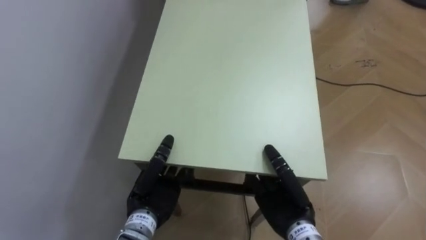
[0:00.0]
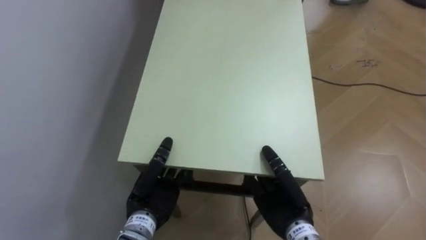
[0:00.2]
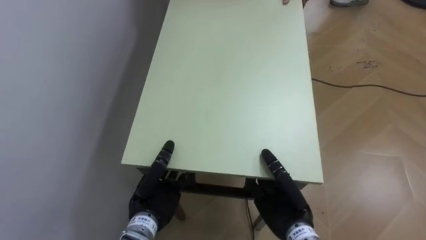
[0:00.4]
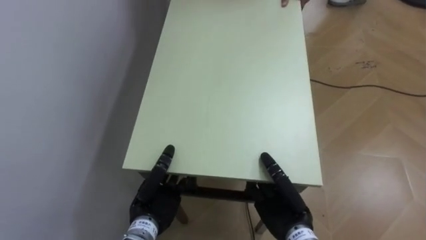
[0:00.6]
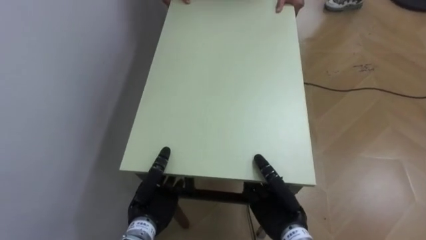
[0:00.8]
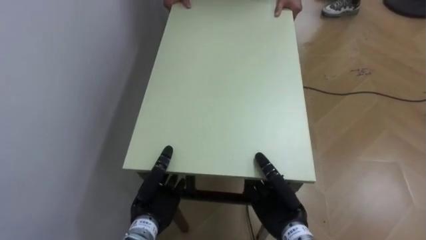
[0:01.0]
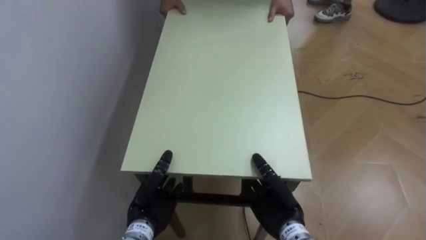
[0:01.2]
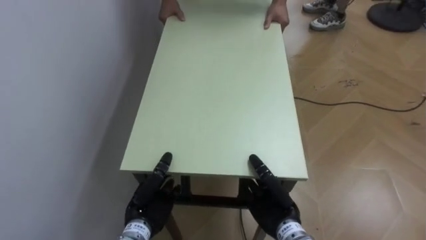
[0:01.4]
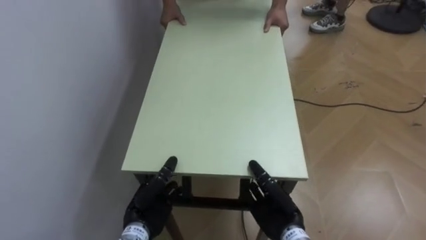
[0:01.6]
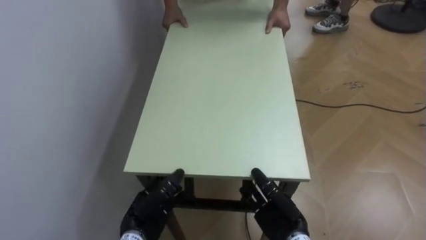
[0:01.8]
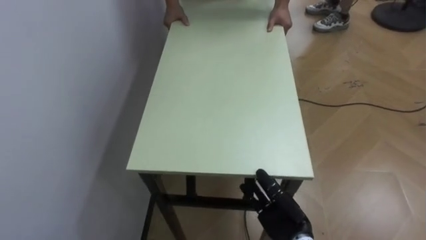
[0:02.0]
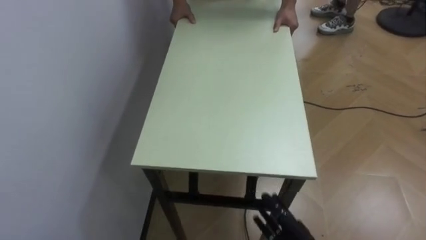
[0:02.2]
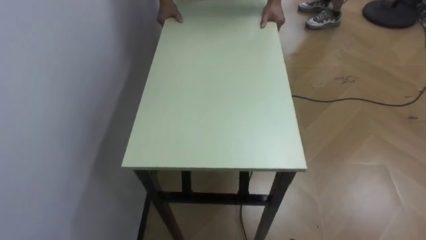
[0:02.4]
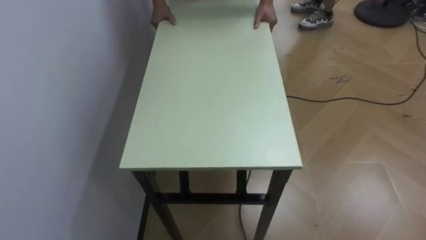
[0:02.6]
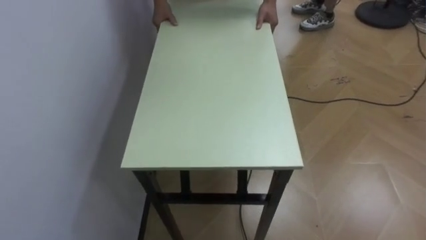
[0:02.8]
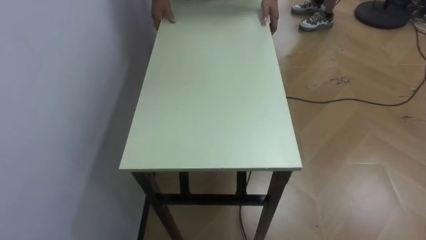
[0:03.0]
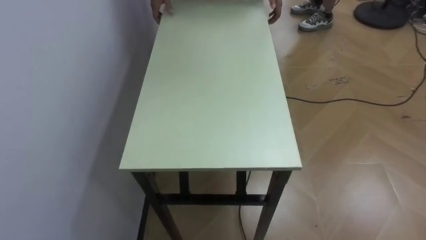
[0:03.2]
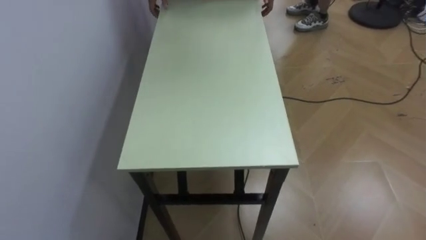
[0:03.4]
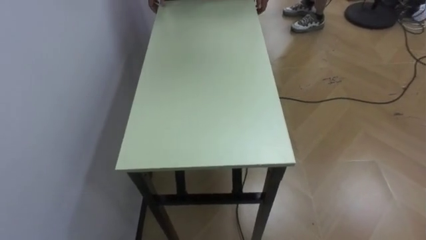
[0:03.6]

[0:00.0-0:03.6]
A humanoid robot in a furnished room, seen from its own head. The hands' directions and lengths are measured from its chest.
Task of the whole recording: Move the table to the back left with someone.
0:00.0 to 0:01.8: Both hands travel together downward, some 10 cm. The left hand opens up. Meanwhile the right hand opens.

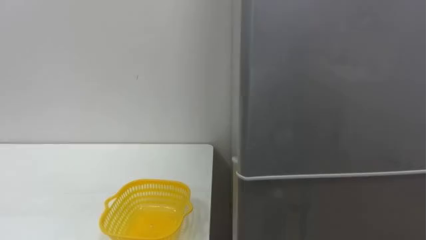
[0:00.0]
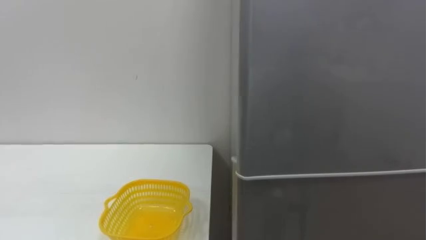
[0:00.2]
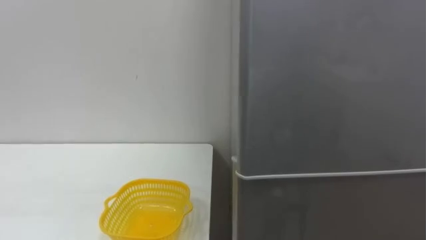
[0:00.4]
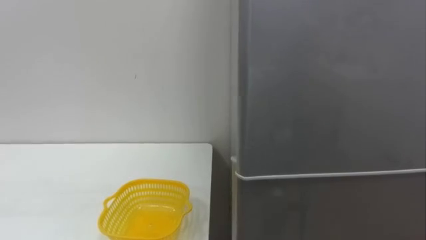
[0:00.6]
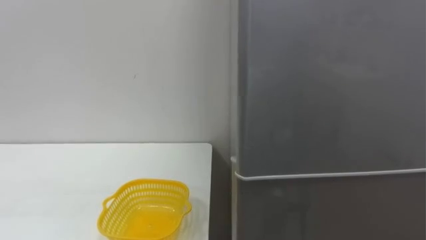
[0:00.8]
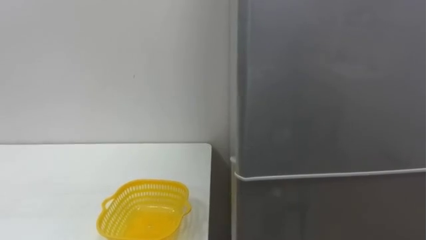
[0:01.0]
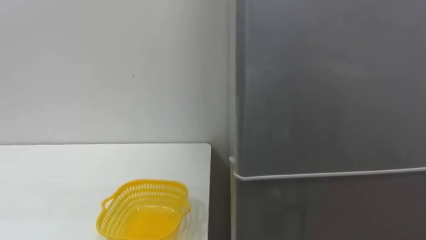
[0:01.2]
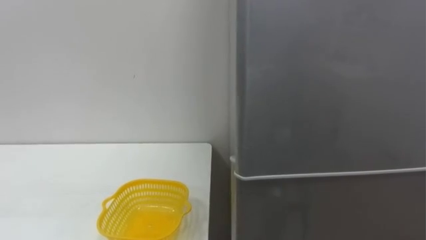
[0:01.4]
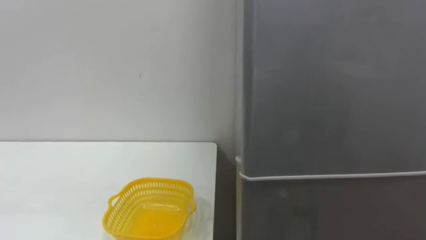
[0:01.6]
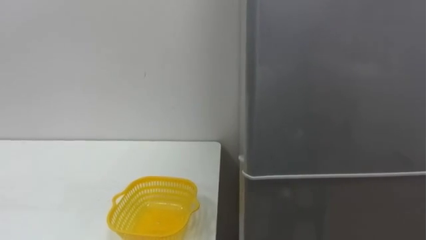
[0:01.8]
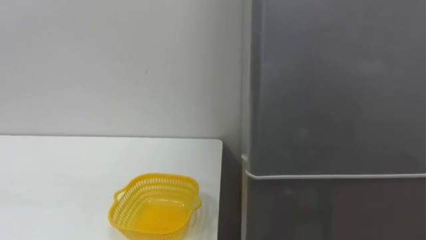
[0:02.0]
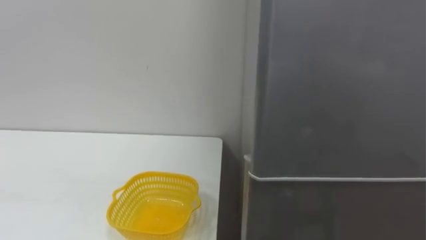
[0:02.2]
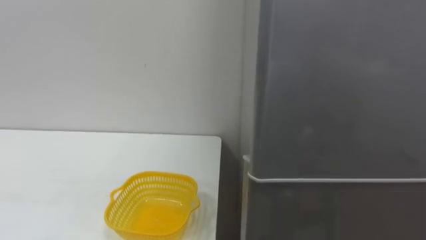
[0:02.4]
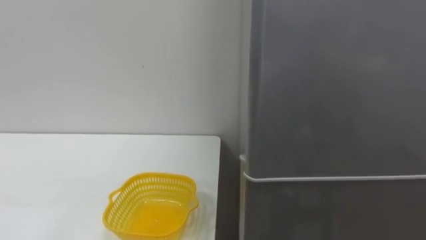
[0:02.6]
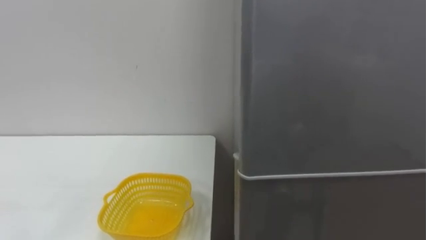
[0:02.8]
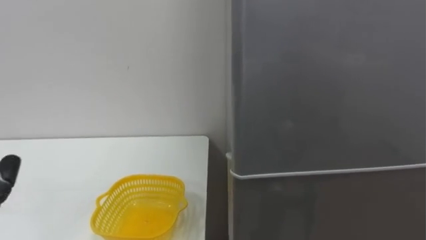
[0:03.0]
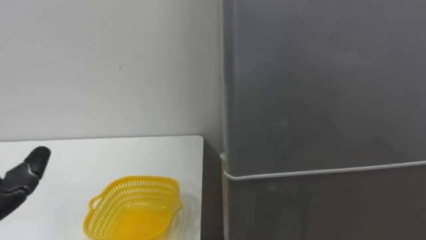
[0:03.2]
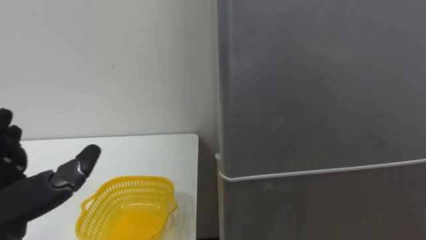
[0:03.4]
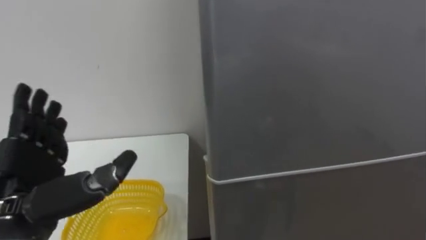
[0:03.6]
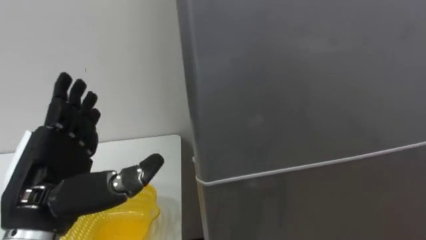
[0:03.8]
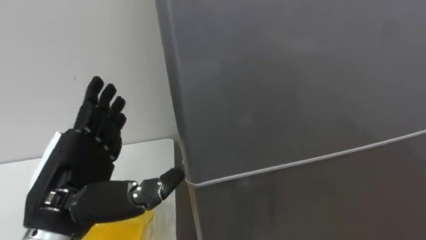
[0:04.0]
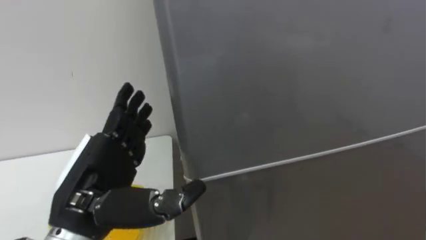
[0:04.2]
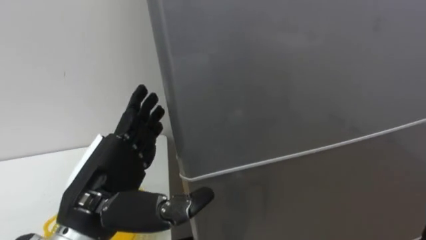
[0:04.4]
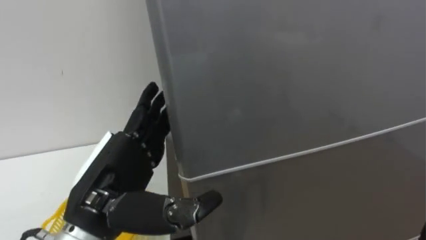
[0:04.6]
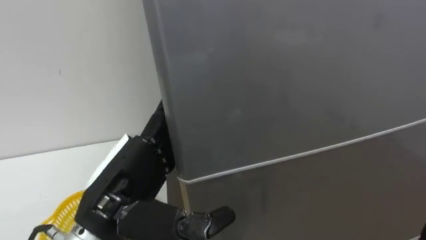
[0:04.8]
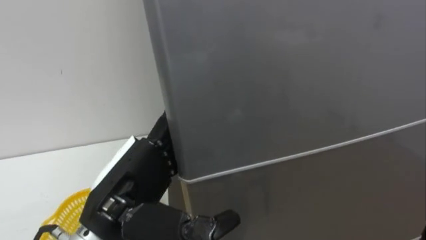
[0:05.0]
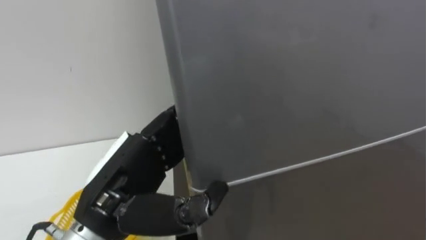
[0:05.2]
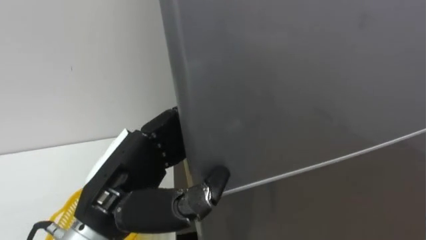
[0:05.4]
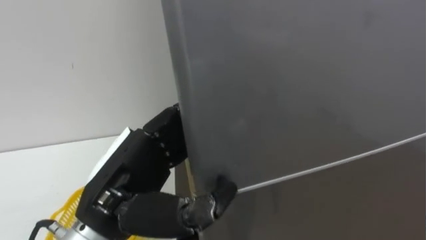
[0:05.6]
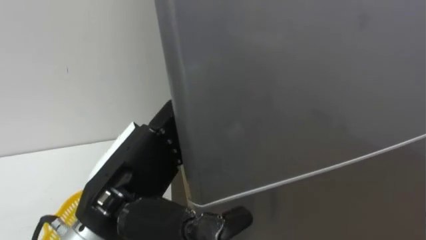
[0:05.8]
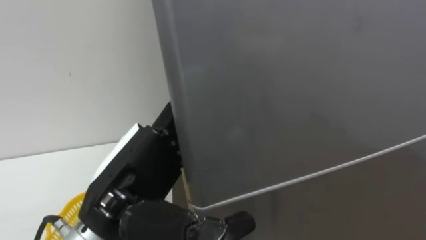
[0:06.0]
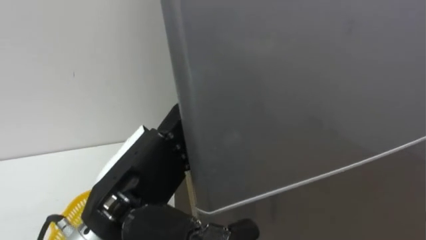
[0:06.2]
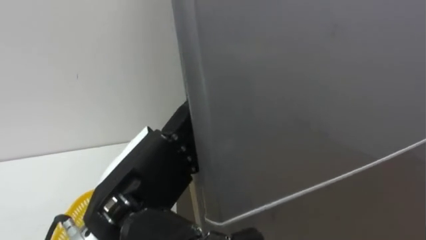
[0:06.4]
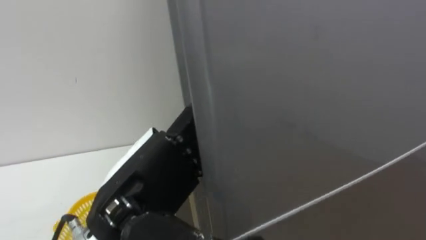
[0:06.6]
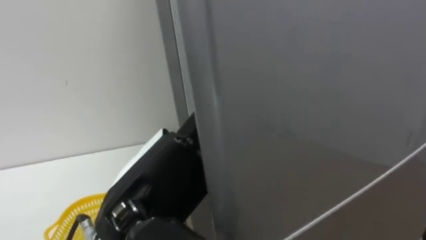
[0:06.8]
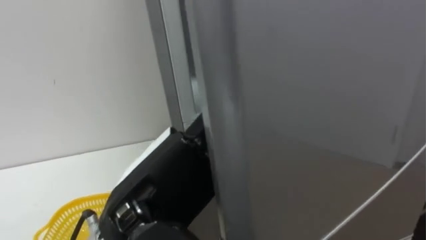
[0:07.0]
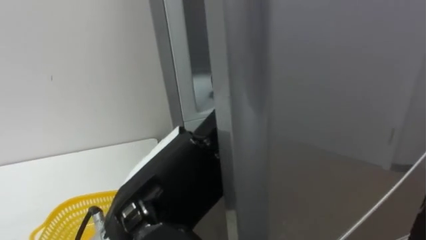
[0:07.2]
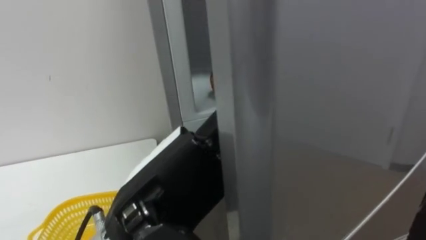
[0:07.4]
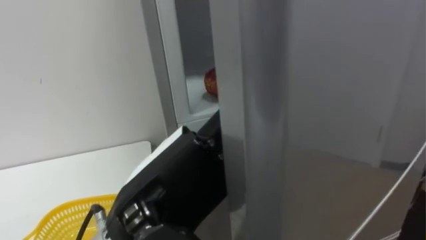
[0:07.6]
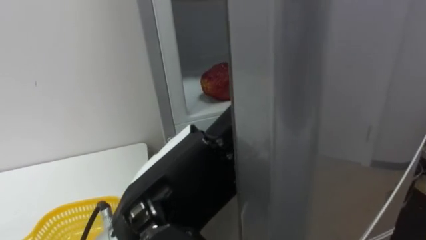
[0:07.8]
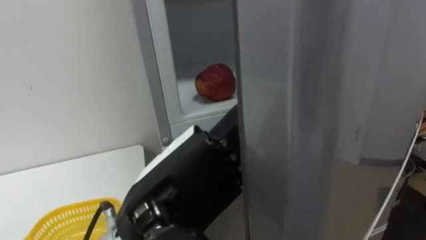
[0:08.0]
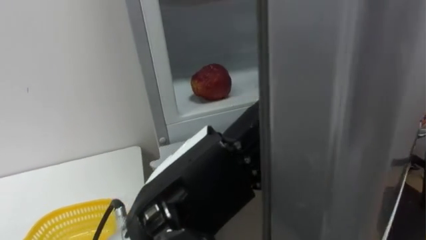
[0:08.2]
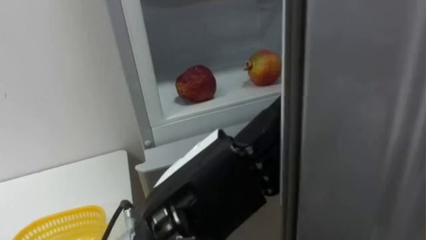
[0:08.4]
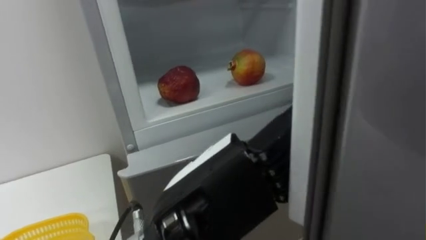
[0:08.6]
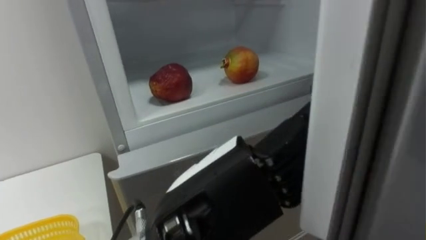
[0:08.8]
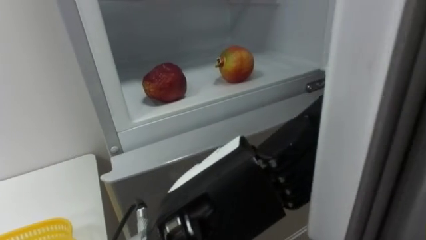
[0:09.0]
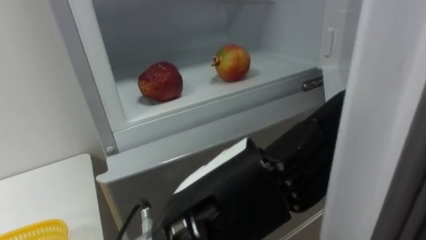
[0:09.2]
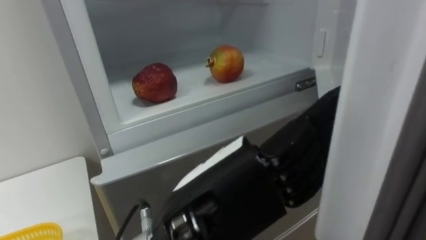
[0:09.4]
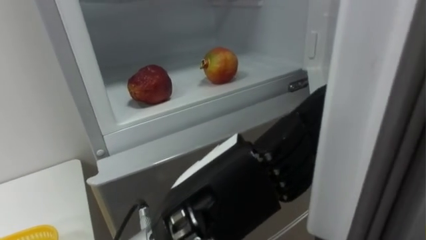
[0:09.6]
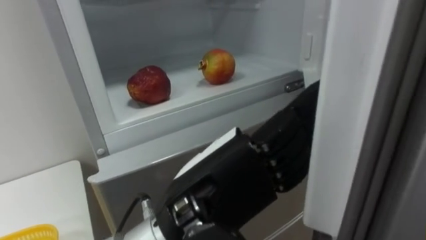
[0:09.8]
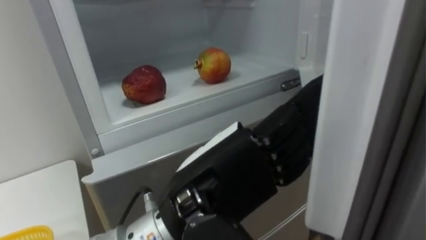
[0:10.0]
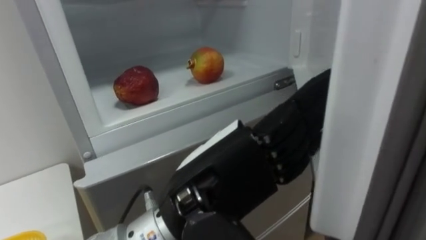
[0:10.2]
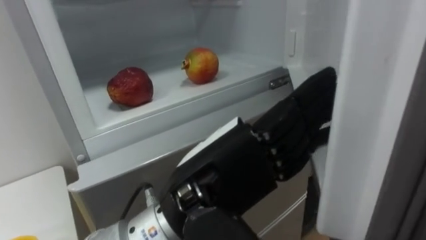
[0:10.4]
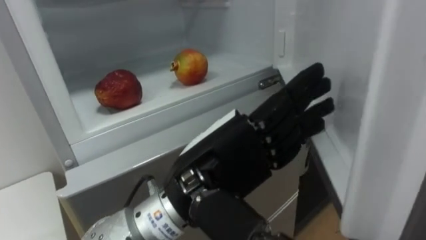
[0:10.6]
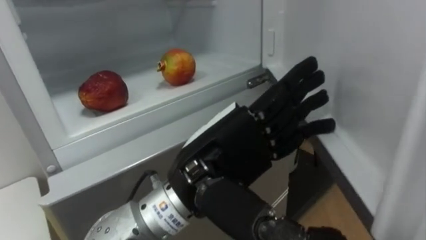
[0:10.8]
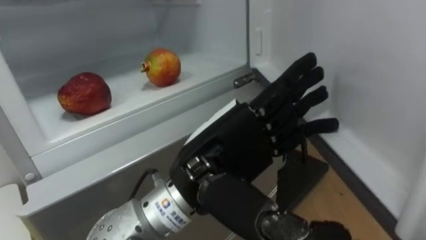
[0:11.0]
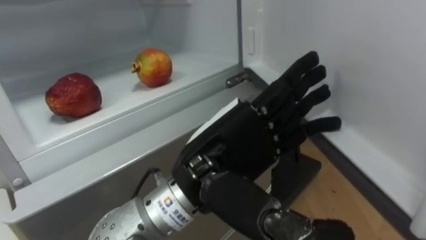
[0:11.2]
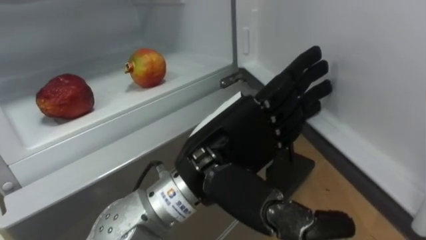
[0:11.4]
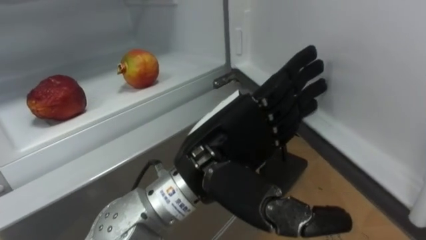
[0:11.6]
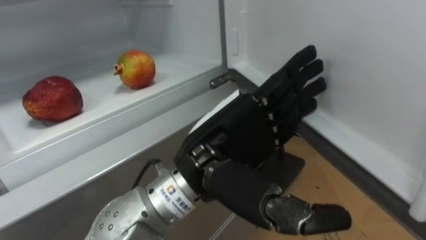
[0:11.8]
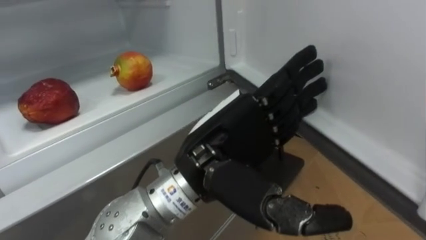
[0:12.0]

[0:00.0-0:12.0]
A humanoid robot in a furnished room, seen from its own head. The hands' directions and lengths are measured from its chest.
Task of the whole recording: Open the refrigerator door, take out the apple and the pomegranate, place them in the fruit basket on the left, and close the refrigerator door.
0:04.4 to 0:06.0: The left hand ends up roughly 5 cm from where it was, and closes and opens again.
0:06.0 to 0:07.6: The left hand changes place by about 5 cm.

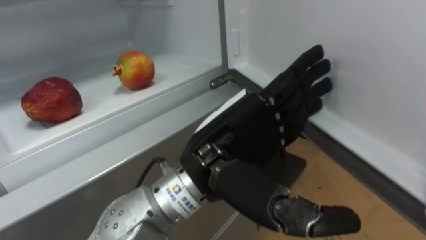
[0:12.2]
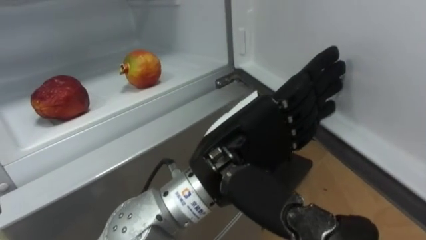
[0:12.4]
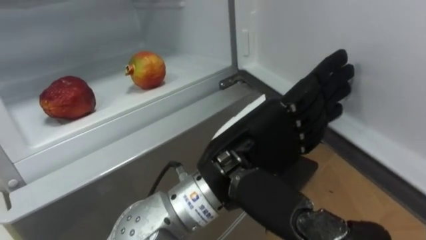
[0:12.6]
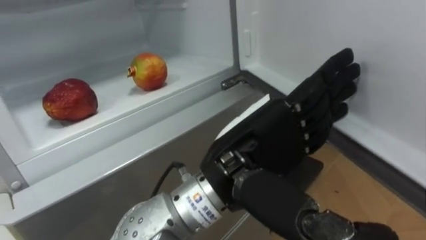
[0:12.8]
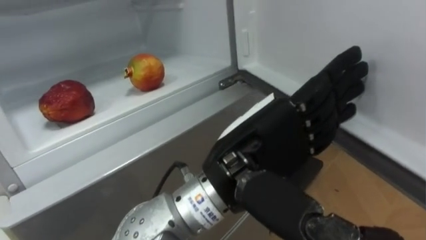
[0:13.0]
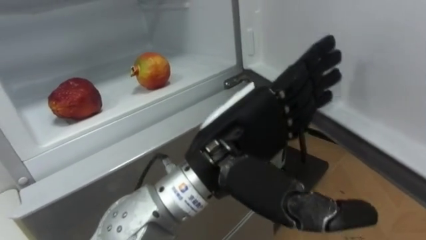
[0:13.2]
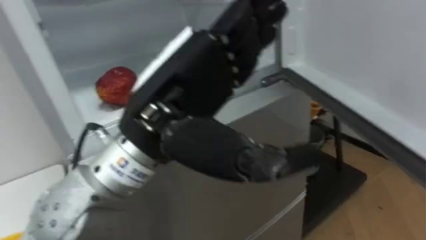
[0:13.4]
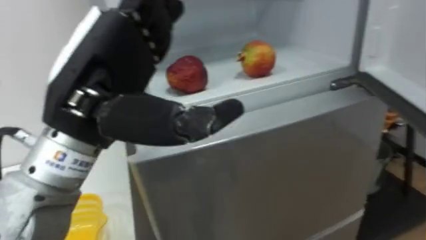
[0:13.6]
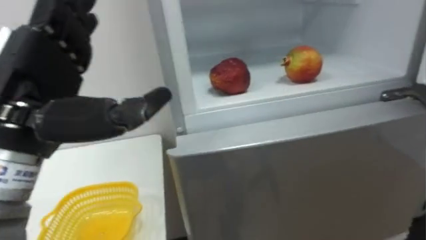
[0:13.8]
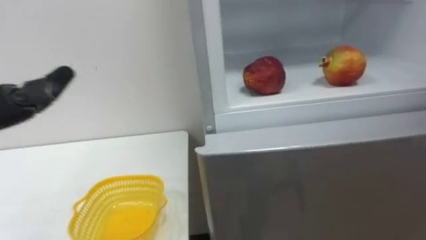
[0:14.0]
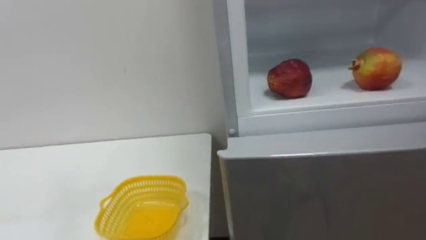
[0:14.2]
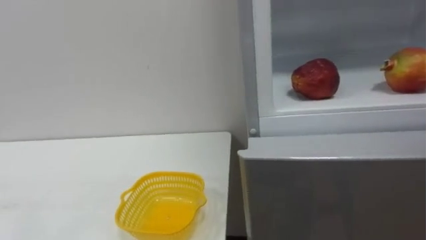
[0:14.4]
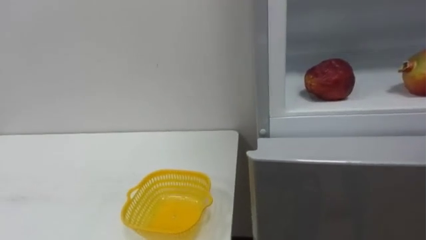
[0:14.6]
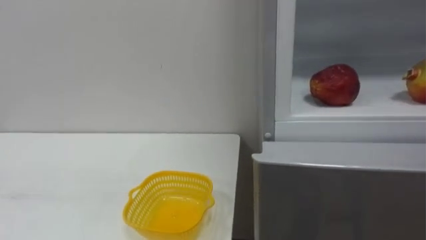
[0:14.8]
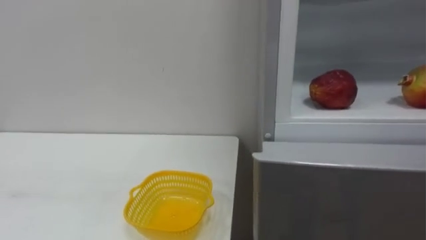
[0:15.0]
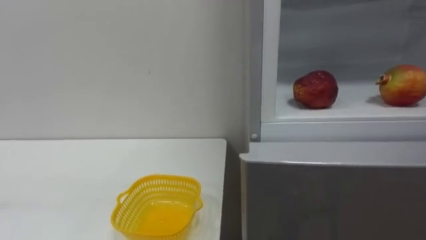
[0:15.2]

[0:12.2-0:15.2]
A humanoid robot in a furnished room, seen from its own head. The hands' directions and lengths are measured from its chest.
Task of the whole recording: Open the refrigerator door, take out the apple and the pomegranate, place them in the fruit basket on the left, and close the refrigerator door.
0:12.2 to 0:13.8: The left hand goes roughly 20 cm to the left.
